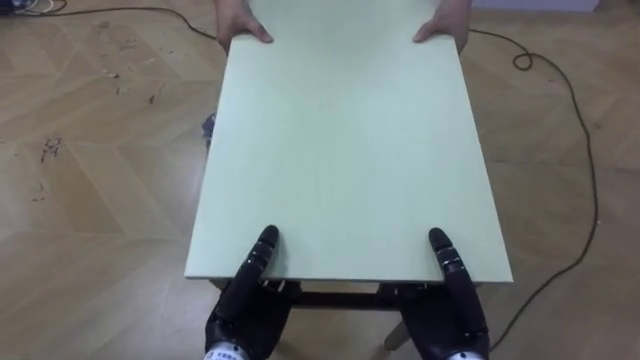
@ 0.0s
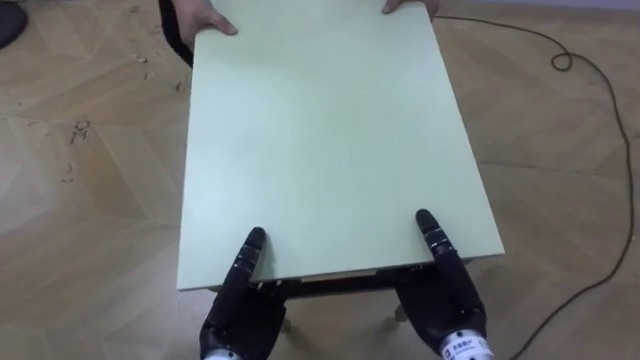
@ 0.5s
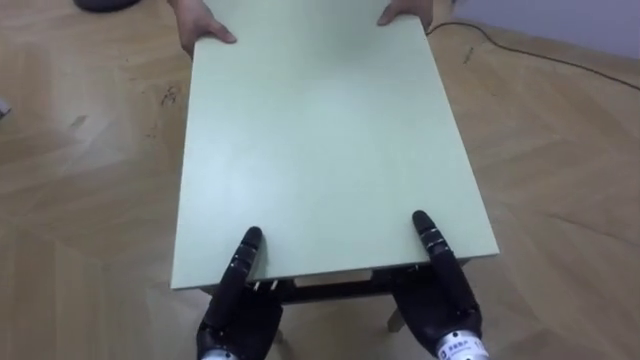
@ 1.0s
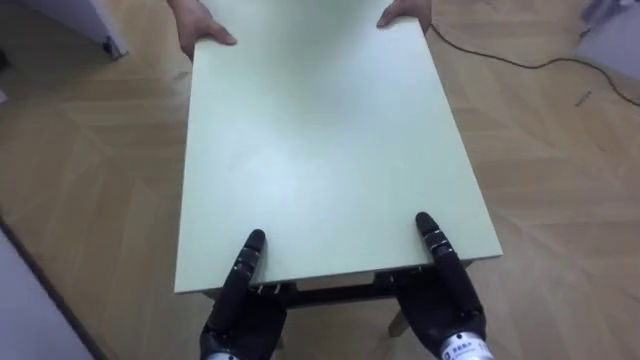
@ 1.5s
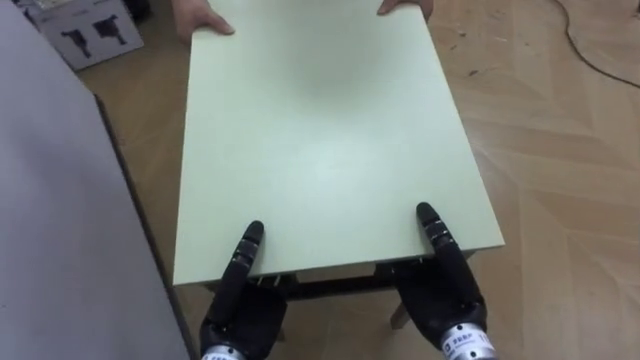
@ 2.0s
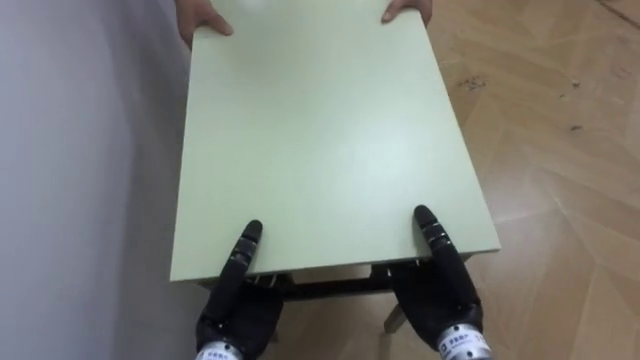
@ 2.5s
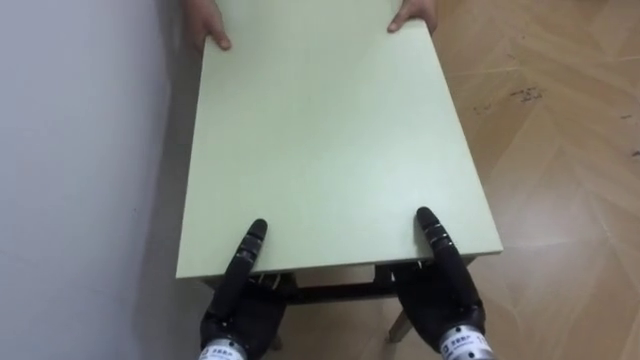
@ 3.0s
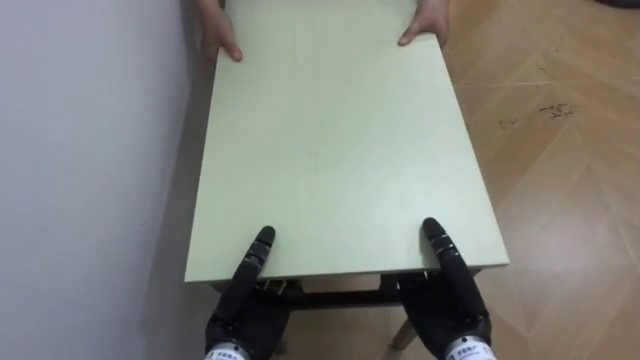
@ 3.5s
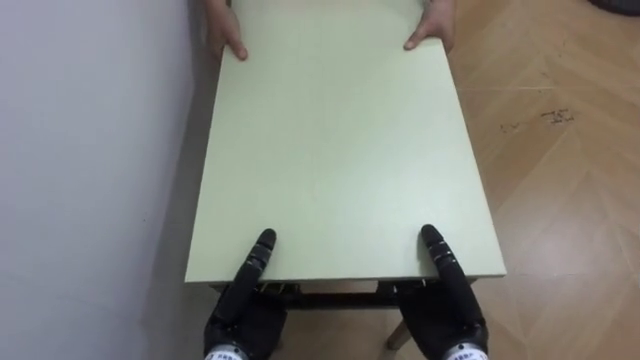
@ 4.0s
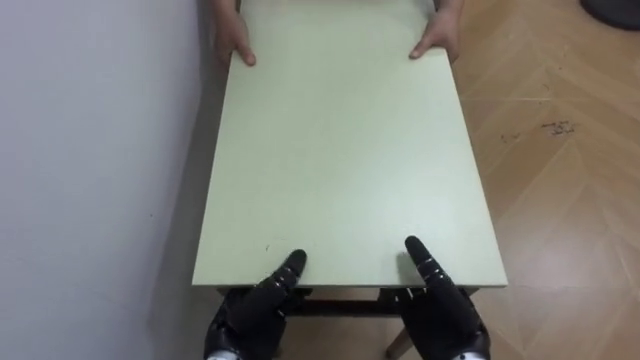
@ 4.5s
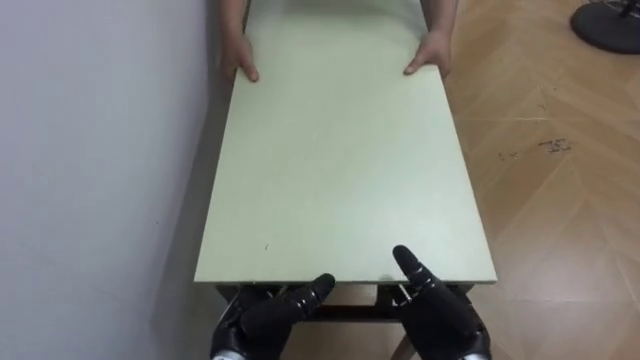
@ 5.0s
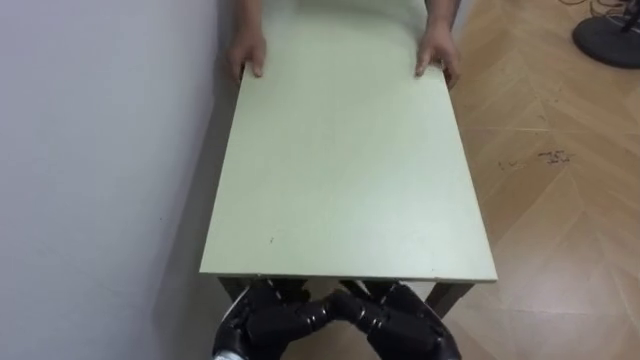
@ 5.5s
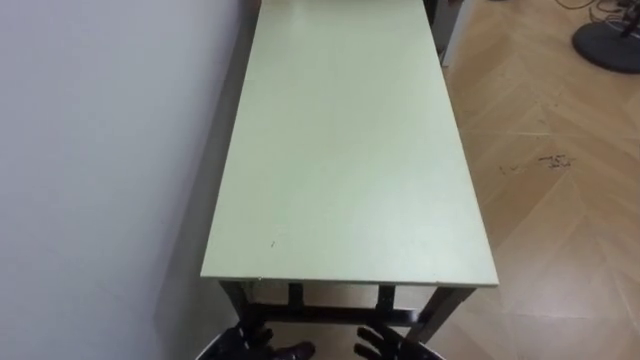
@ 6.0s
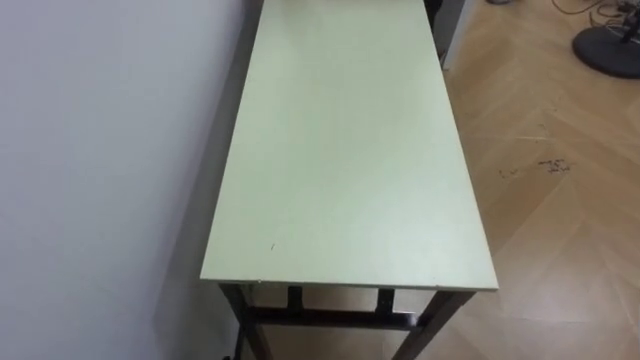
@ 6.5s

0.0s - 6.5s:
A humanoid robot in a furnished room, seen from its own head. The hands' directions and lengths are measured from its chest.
Task of the whole recording: Move the table to the back left with someone.
0.0s - 2.0s: The robot turns to its left by roughly 55 degrees.
2.0s - 4.5s: The robot turns to its left by roughly 35 degrees.

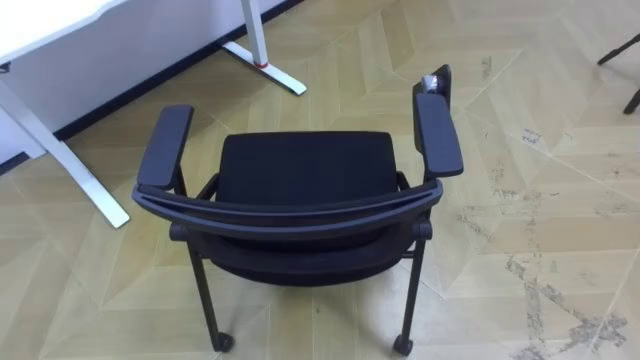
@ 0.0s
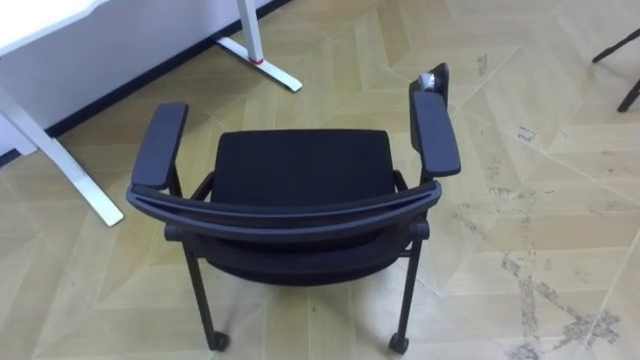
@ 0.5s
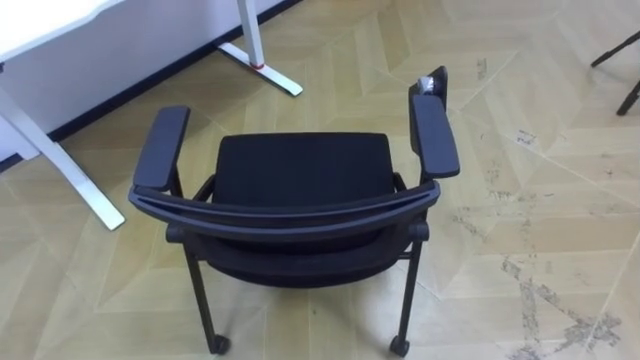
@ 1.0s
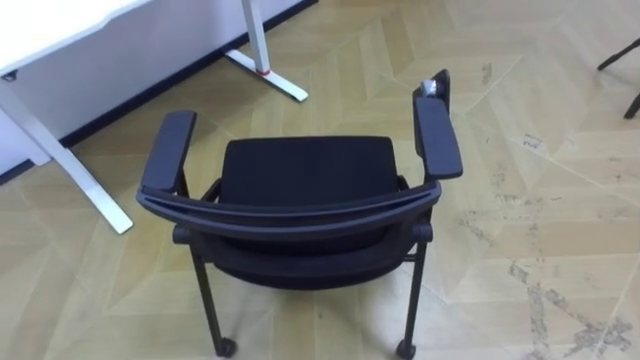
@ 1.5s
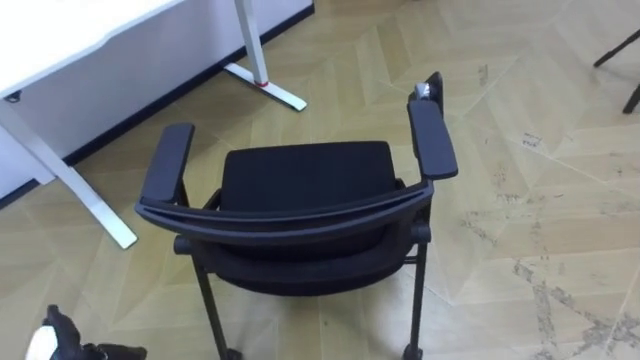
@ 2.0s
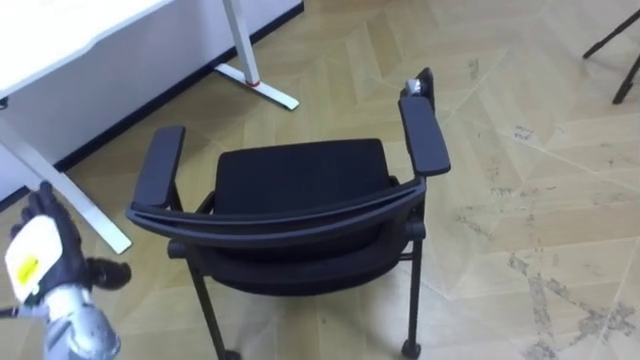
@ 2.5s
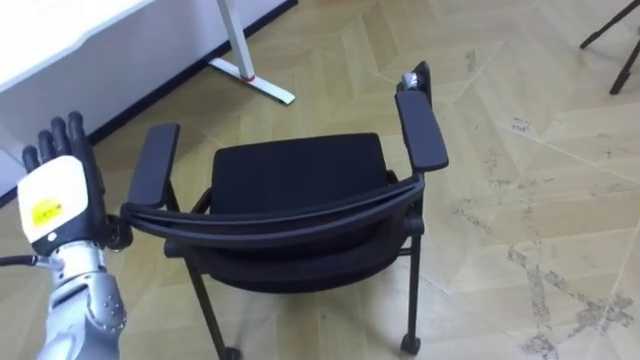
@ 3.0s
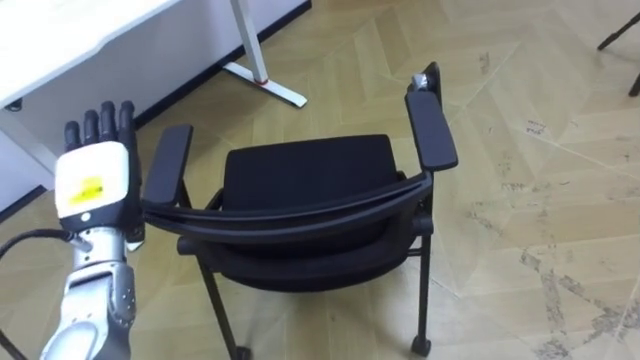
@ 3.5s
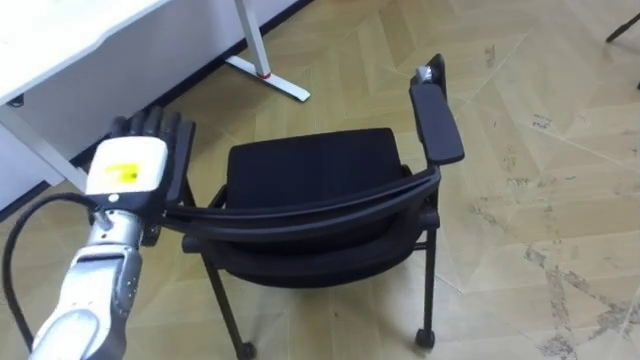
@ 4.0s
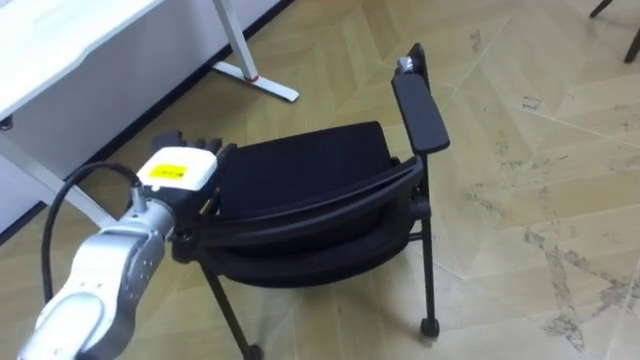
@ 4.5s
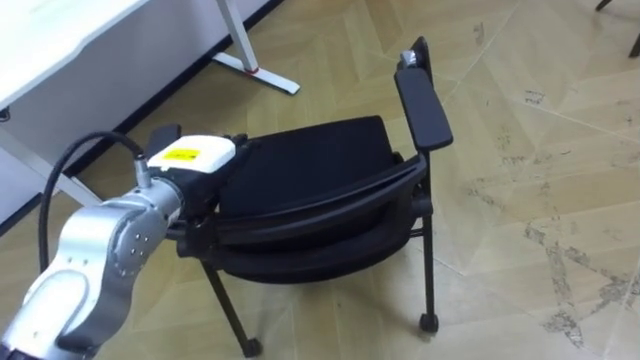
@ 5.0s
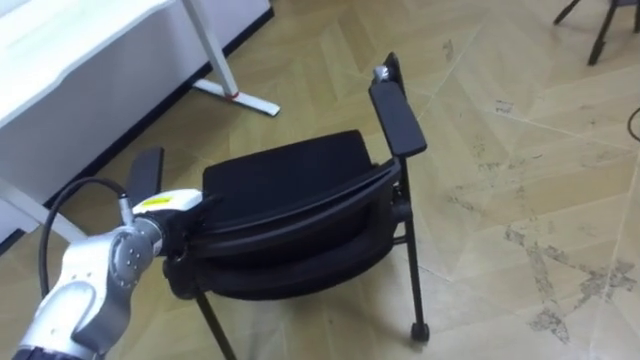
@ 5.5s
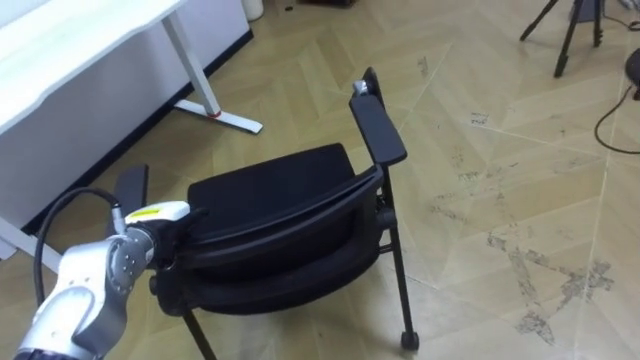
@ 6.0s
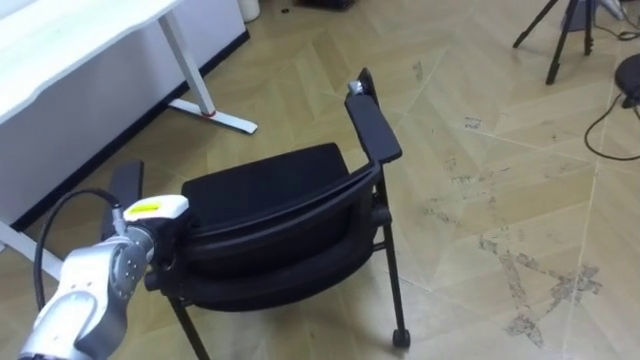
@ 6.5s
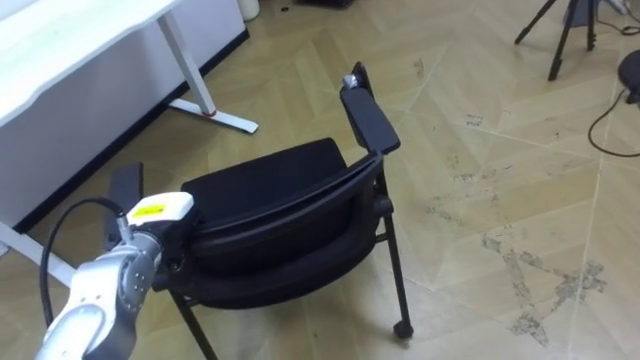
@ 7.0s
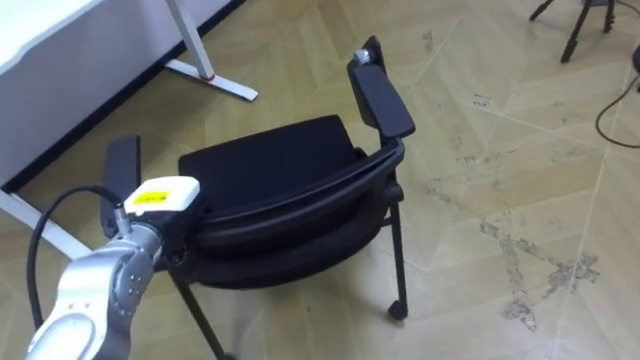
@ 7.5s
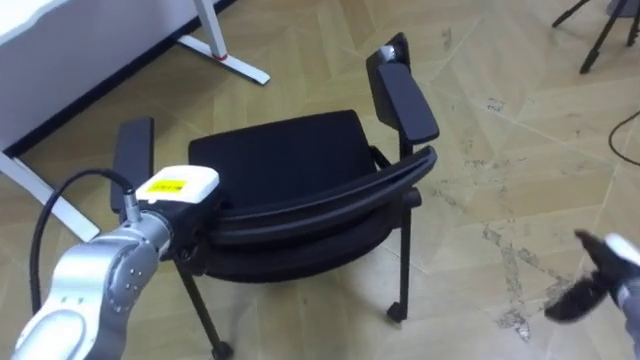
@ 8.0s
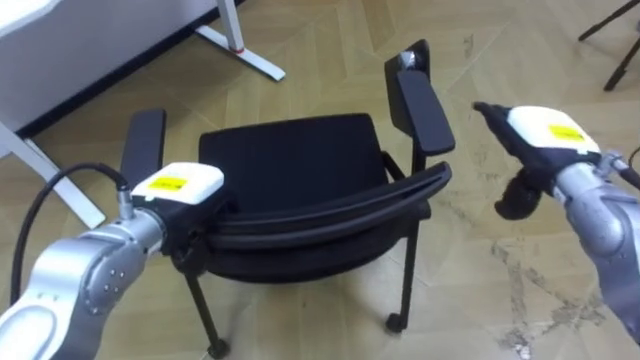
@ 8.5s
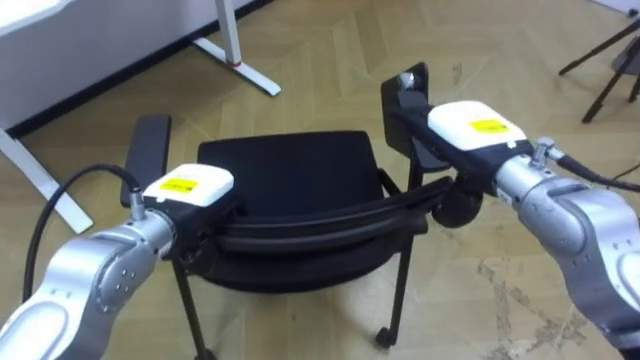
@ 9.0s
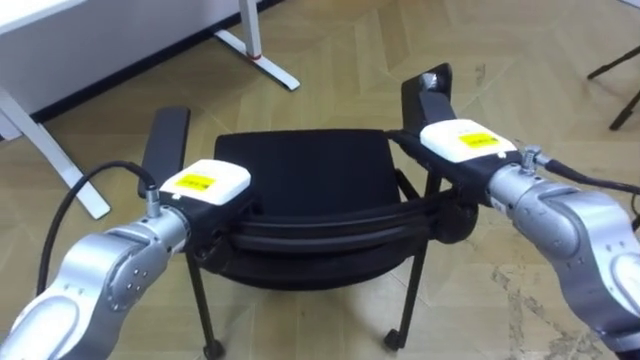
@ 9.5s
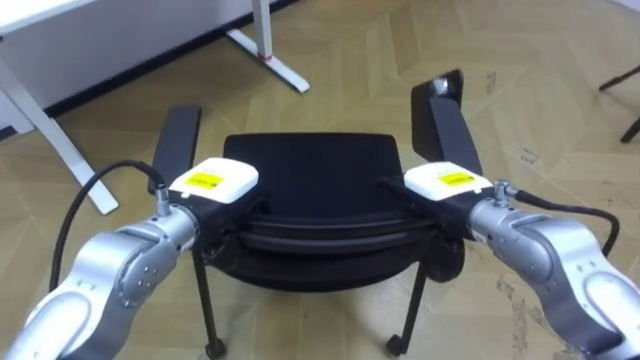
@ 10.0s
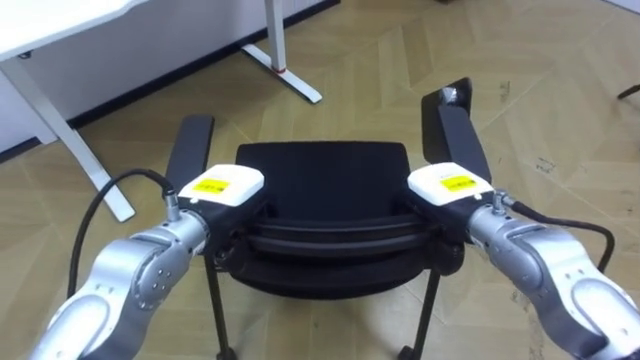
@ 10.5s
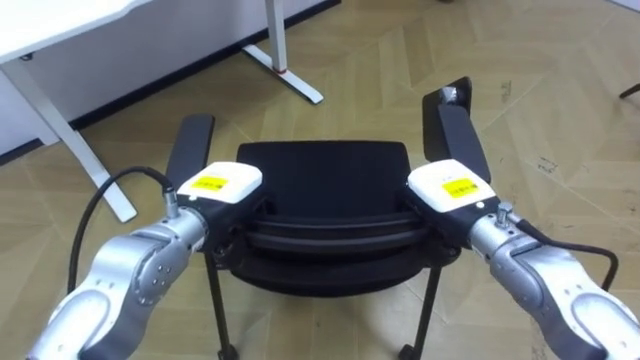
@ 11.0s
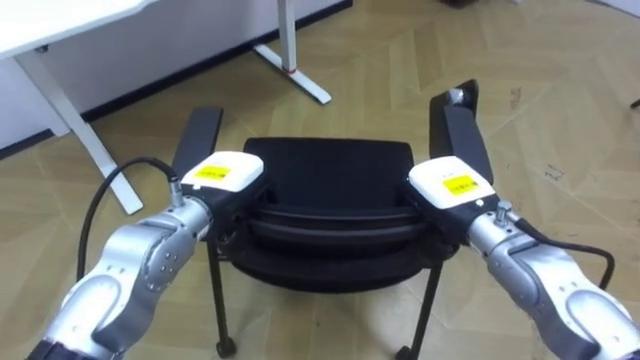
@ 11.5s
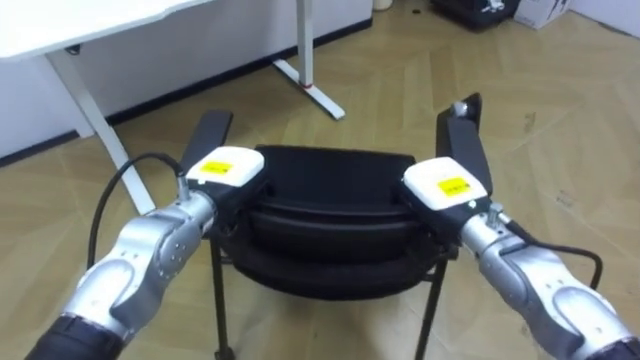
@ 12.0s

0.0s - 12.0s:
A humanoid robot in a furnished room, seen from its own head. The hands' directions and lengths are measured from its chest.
Task of the whole recording: Push the chair under the table.
4.0s - 6.0s: The left hand heads downward, covering approximately 10 cm.
6.0s - 8.0s: The left hand heads upward, covering about 10 cm, and closes its fingers.
8.0s - 10.0s: The right hand travels to the left and upward by some 25 cm.
10.0s - 12.0s: The right hand closes.

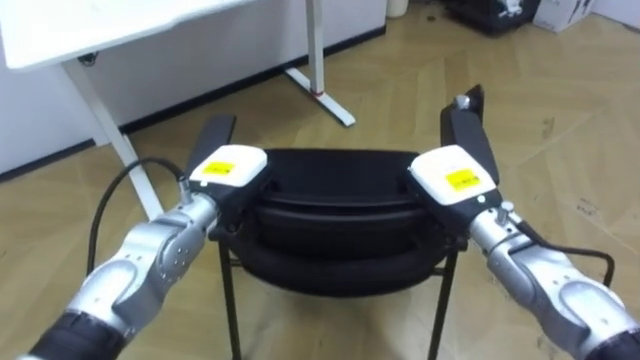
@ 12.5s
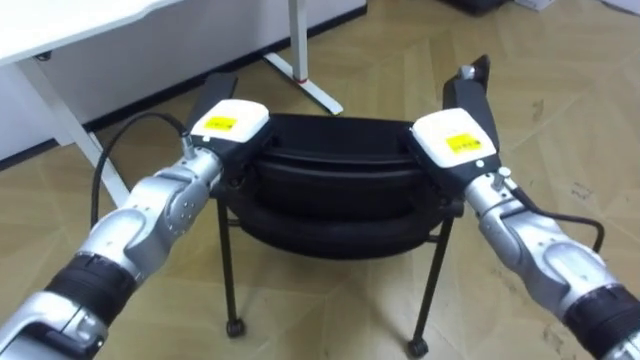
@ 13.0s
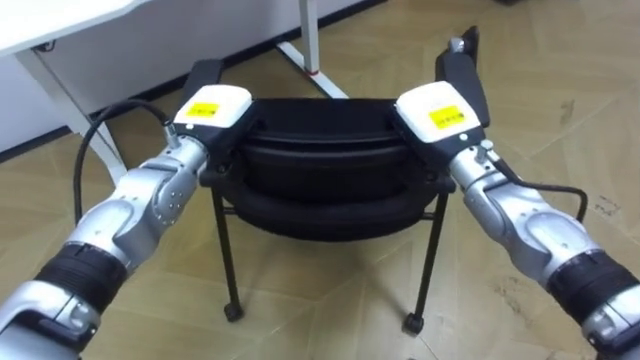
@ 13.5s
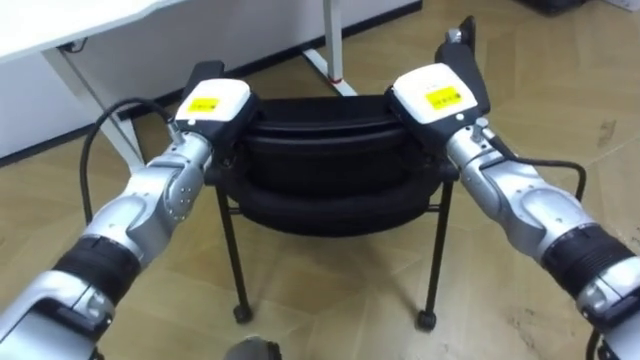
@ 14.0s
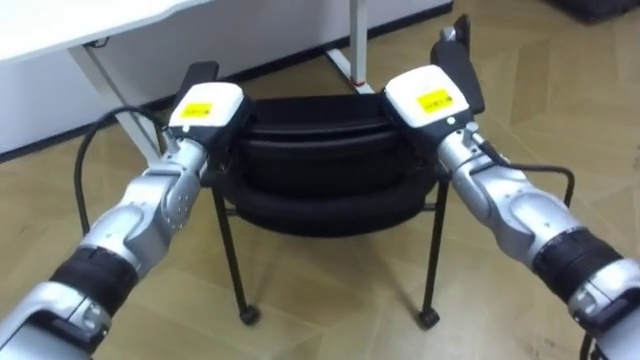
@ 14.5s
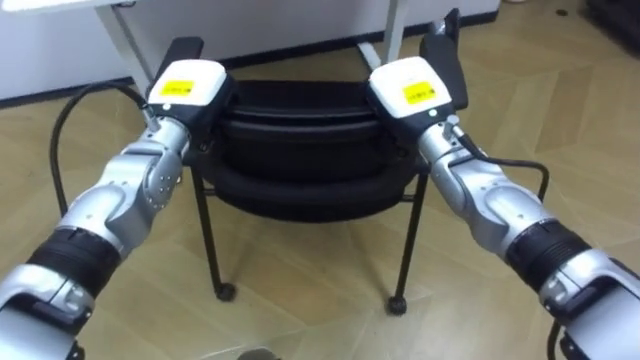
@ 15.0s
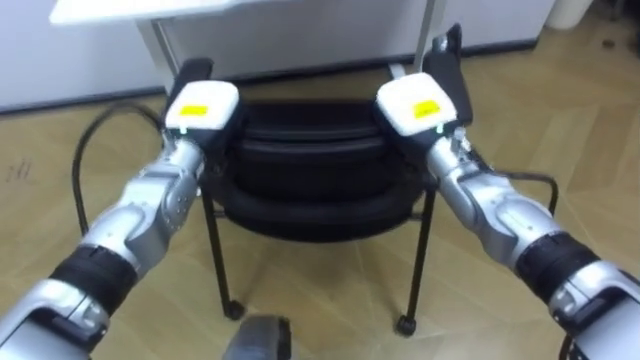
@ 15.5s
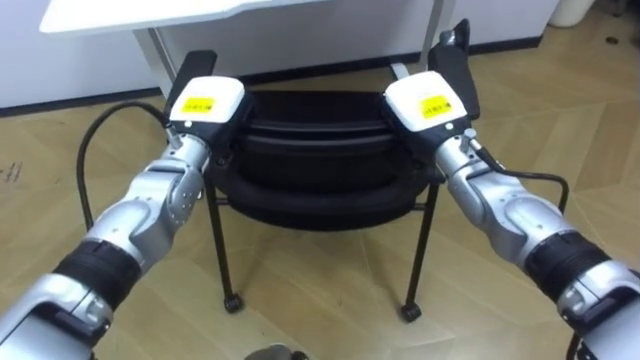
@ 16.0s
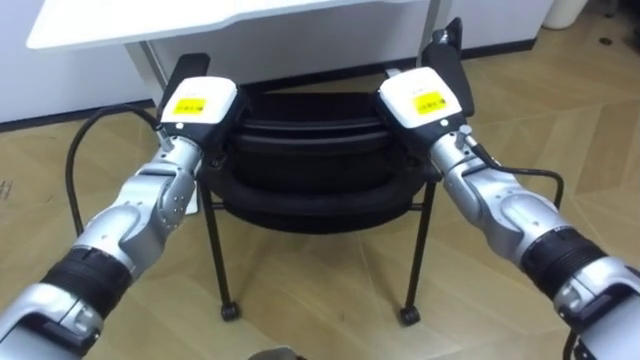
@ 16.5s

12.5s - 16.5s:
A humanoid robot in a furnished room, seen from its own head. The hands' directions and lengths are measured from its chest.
Task of the whole recording: Push the chair under the table.
12.5s - 14.5s: The left hand moves forward, approximately 5 cm. The right hand goes about 10 cm forward and upward.
